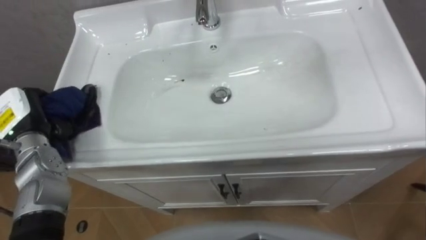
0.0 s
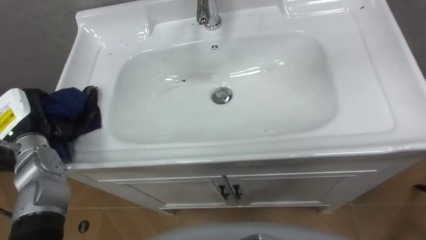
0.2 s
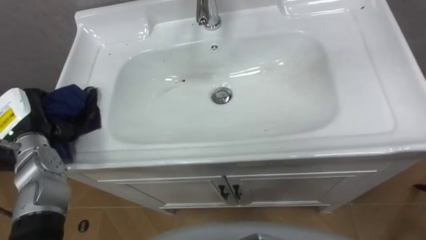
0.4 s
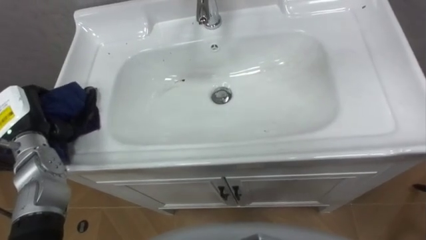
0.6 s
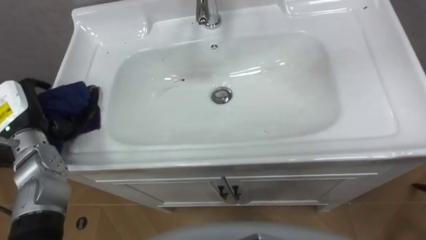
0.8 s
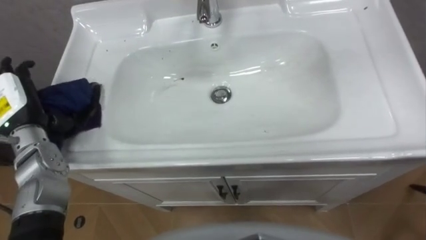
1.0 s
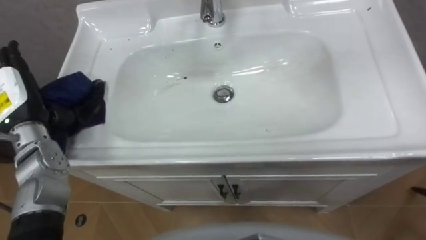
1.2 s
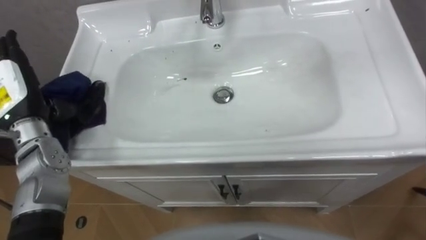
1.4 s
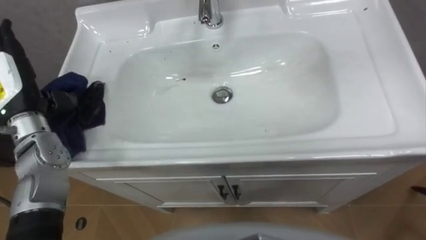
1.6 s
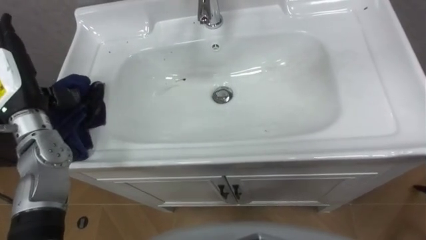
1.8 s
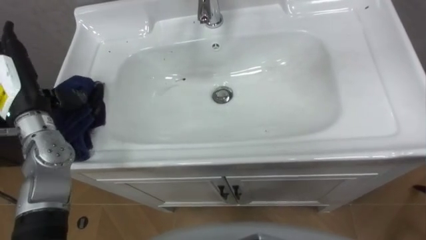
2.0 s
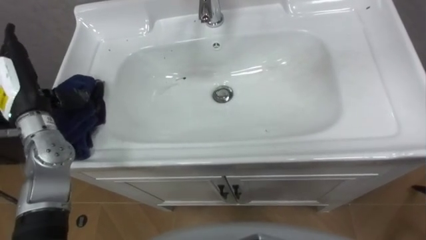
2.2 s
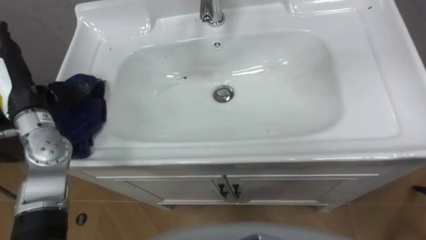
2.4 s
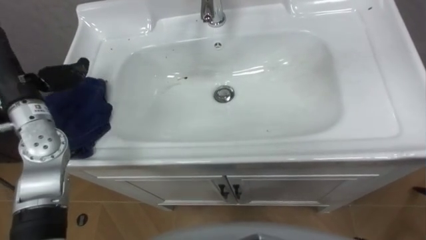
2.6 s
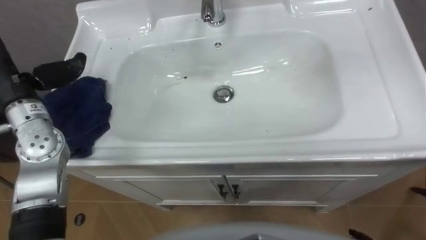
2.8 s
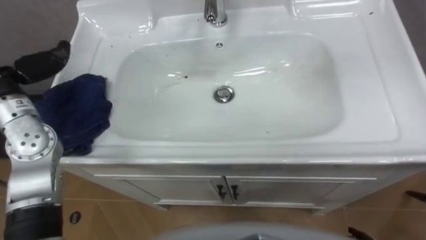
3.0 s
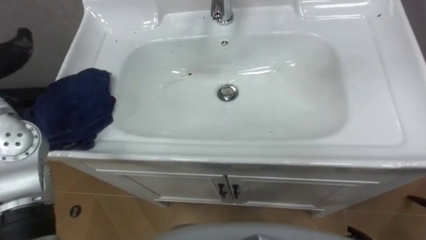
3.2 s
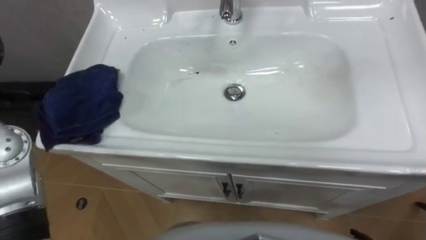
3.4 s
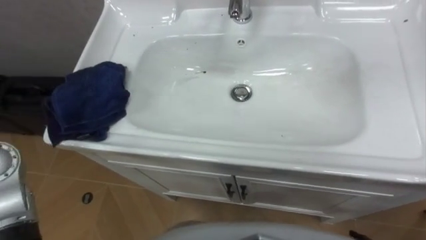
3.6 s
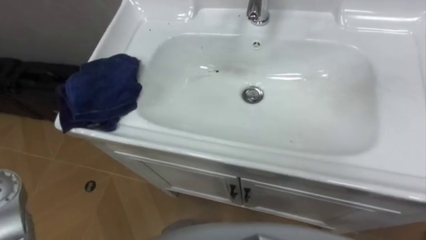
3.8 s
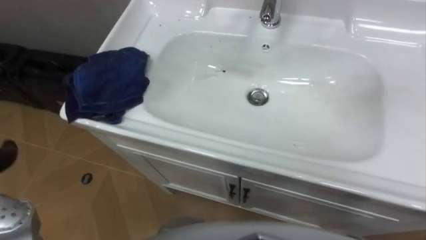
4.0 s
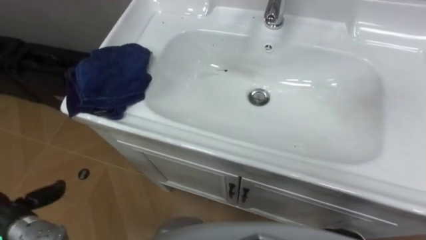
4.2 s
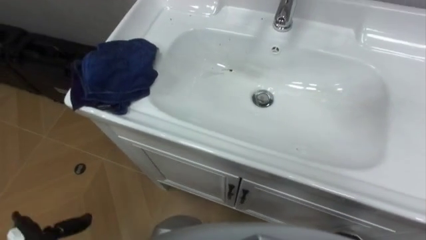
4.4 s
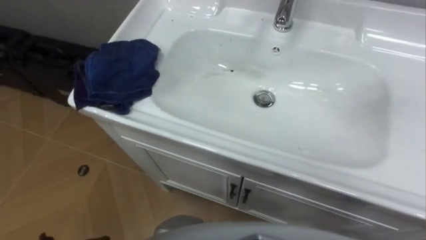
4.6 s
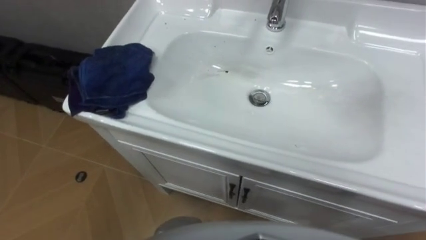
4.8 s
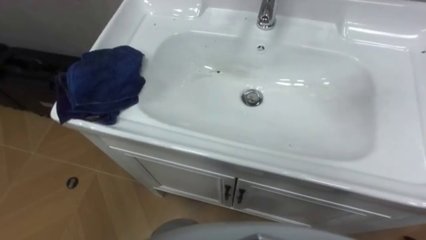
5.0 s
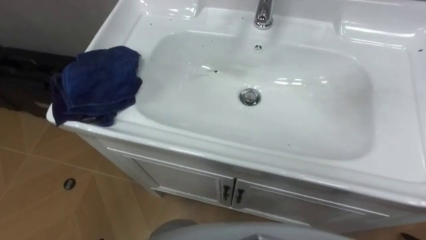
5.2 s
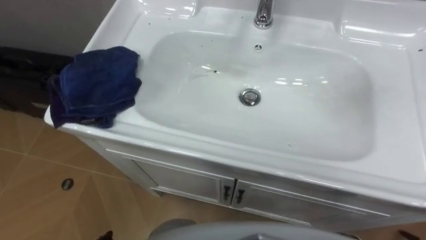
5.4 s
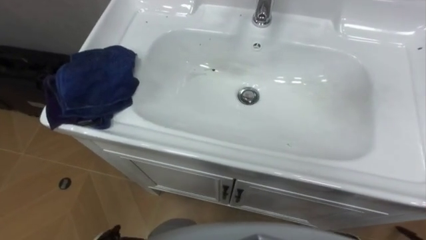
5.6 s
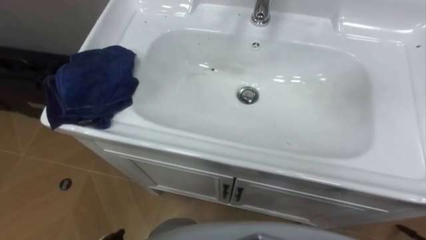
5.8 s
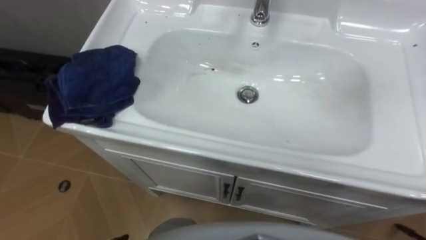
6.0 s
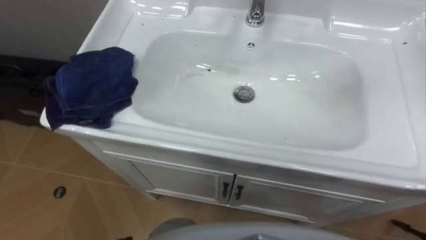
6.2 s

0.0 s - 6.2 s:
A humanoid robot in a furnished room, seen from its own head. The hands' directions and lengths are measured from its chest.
Task of the whole recording: Use the cloth on the right to wipe away the black stain in the sink.
0.0 s - 1.6 s: The left hand heads upward, covering roughly 5 cm, and opens up.

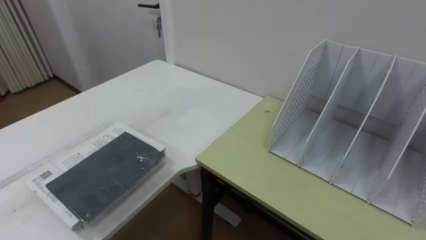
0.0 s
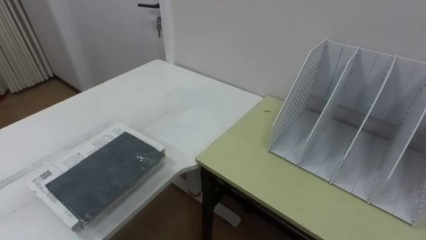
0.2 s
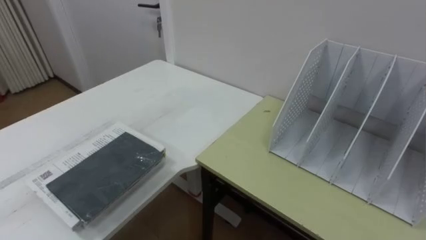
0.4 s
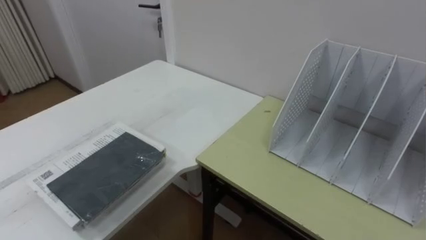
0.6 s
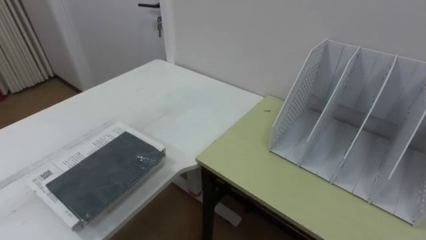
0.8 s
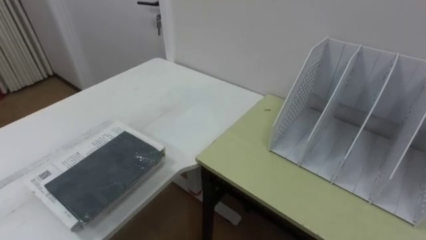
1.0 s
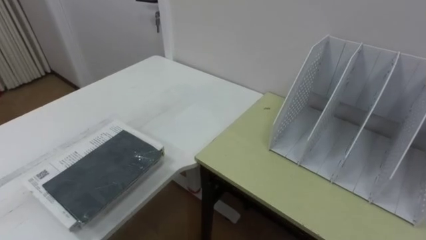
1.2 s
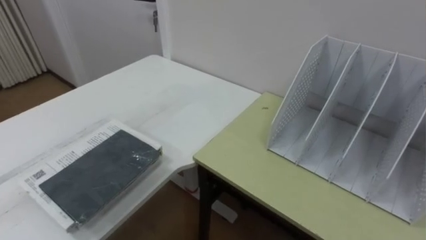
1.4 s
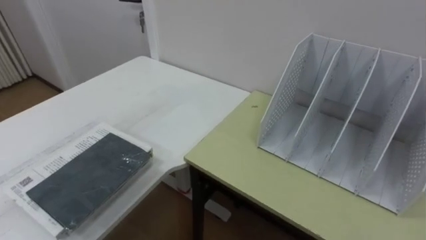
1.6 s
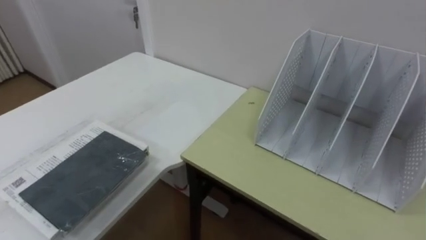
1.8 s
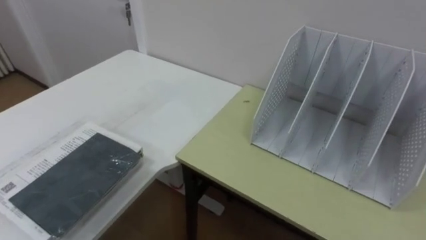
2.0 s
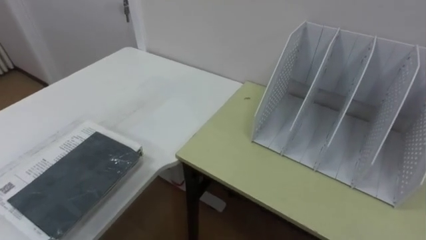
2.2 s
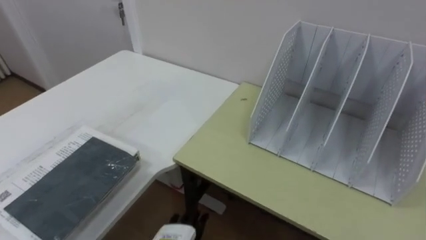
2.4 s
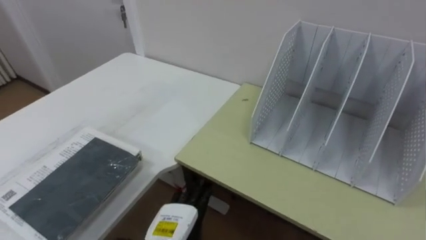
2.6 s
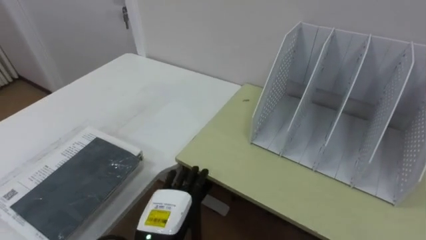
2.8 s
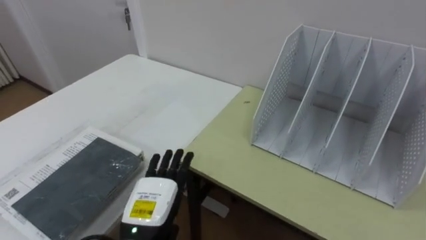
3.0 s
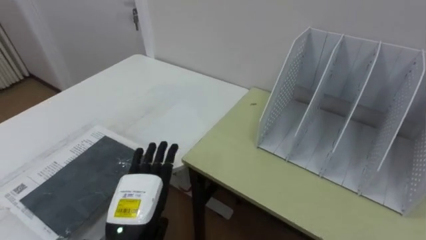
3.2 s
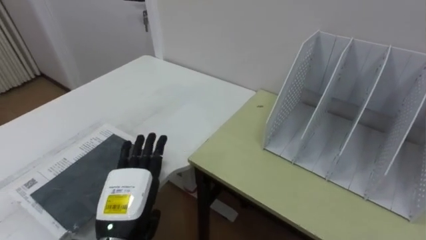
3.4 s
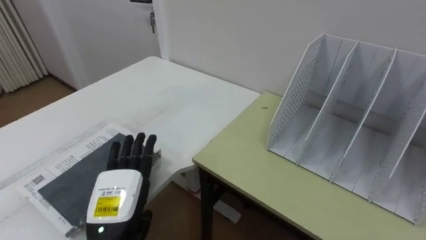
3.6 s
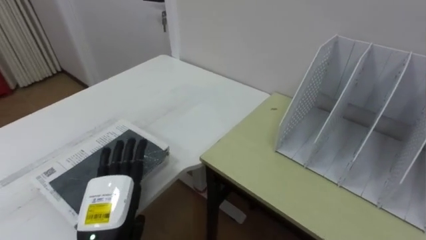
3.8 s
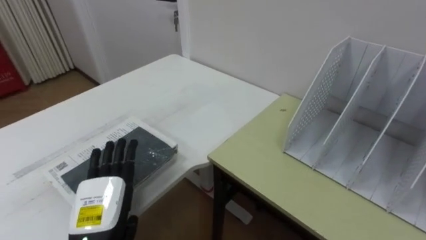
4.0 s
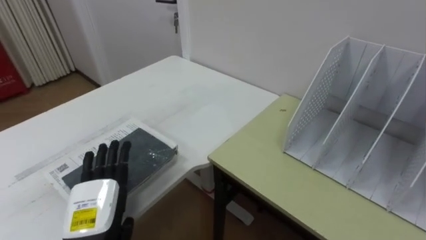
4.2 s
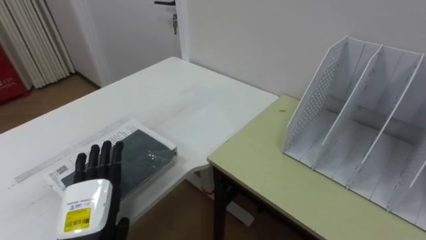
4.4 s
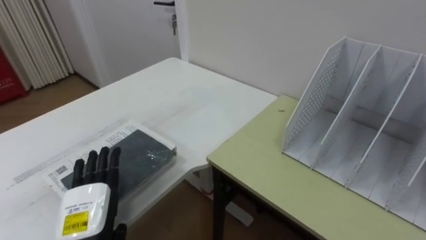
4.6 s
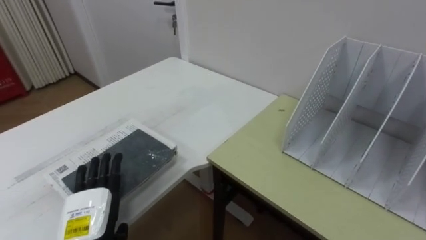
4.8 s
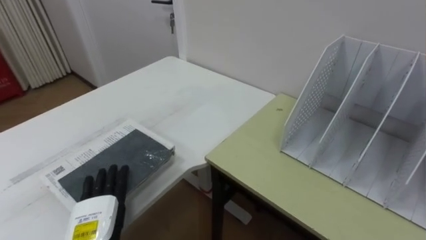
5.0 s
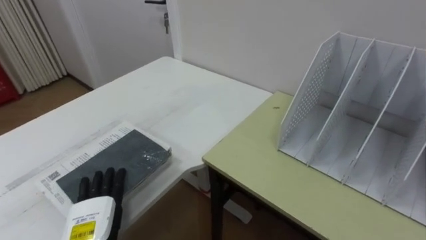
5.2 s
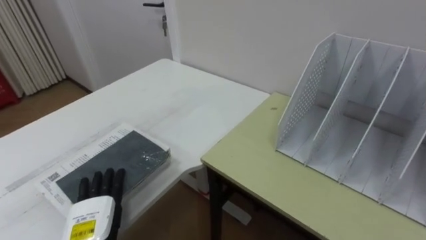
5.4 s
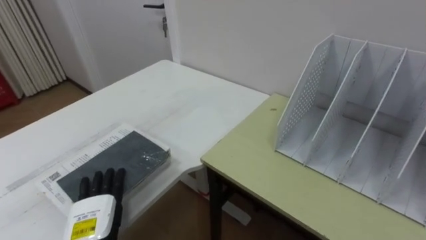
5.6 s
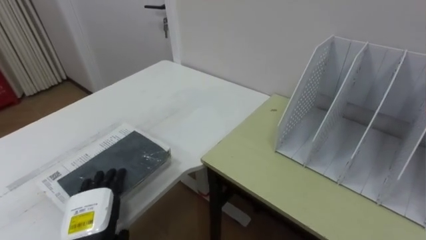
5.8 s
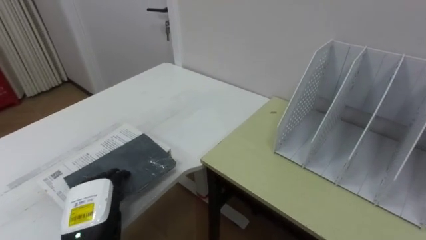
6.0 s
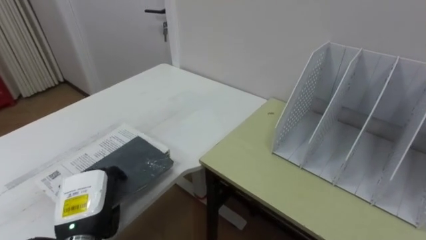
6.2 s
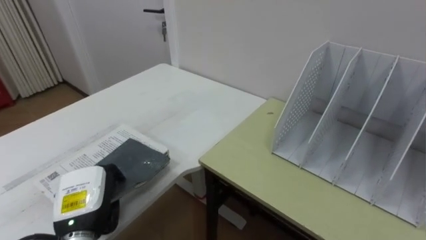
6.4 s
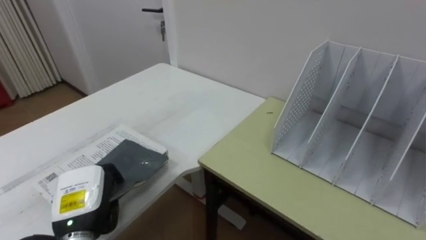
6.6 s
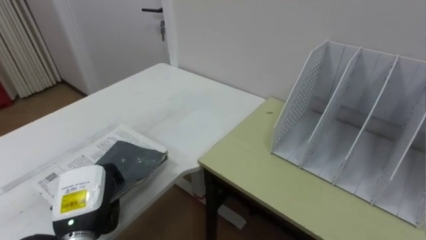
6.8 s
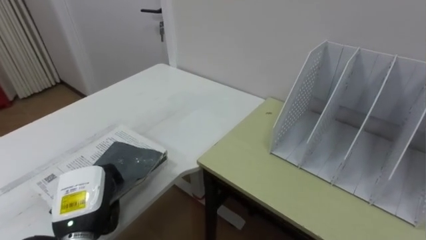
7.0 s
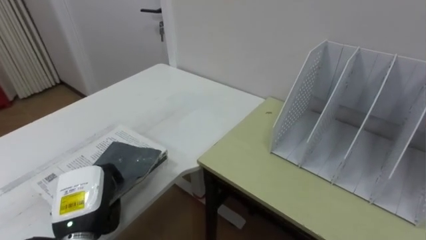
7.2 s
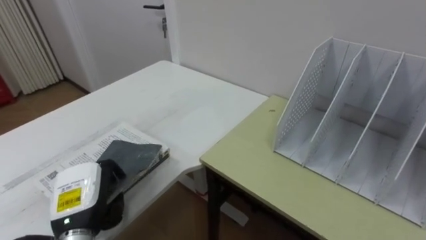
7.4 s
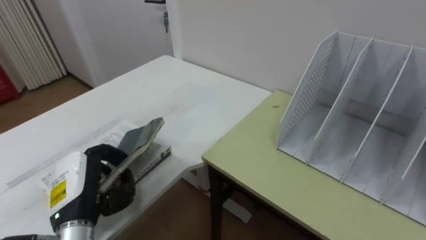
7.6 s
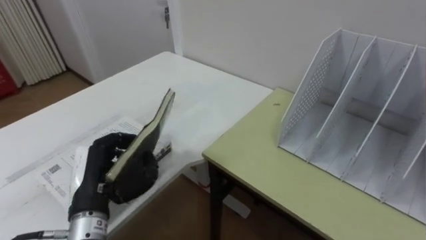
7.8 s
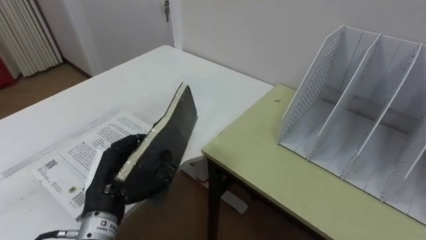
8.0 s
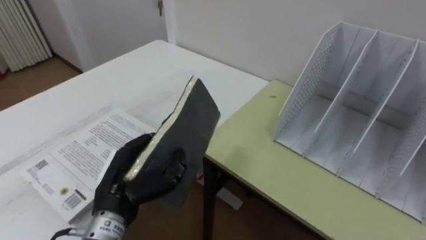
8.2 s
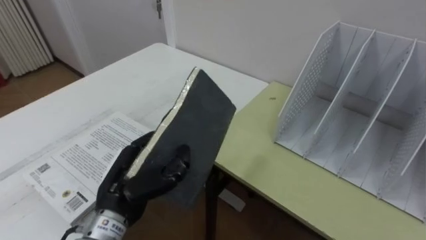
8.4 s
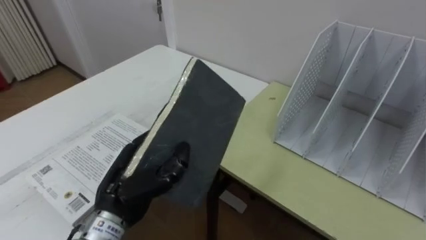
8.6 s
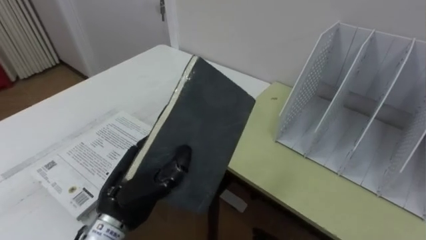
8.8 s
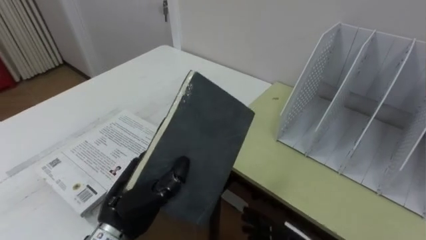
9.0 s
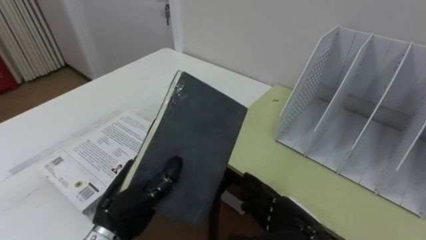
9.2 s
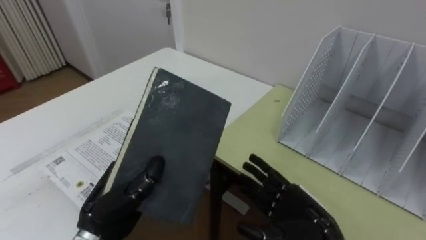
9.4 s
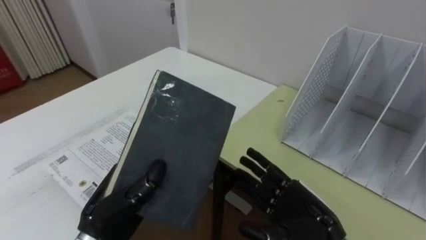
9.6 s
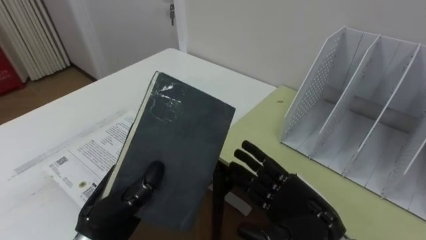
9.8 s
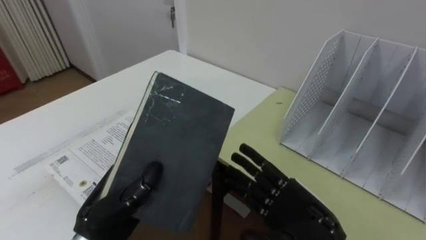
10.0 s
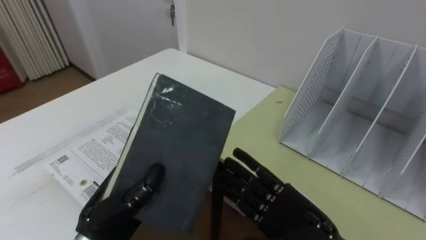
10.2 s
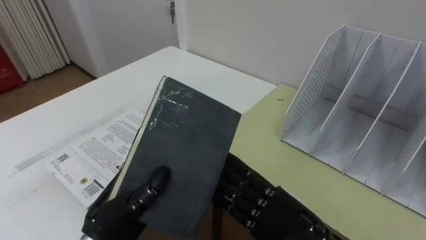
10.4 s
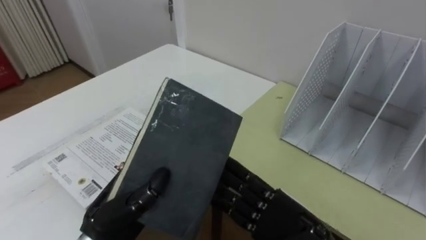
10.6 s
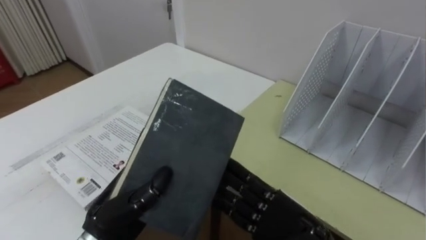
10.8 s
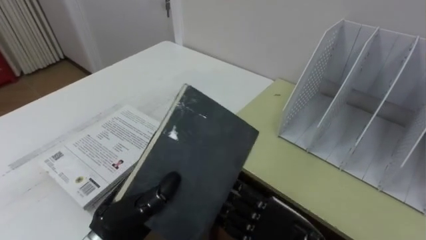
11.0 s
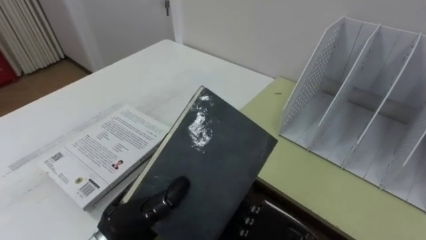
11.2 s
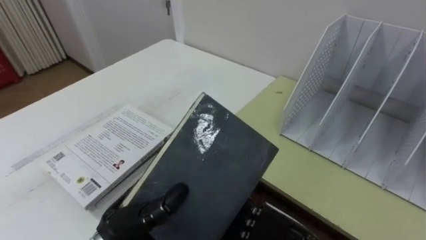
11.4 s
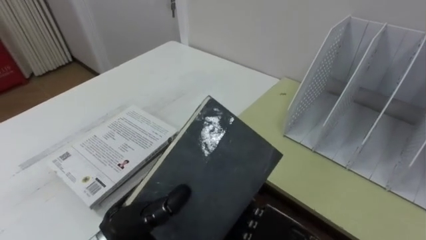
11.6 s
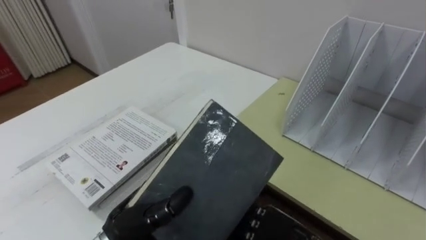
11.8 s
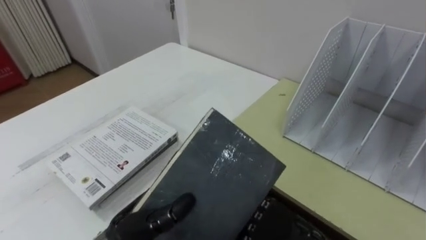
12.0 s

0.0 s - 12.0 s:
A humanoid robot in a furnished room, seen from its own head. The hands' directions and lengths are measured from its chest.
Task of the whole recording: Put the books on the table onto the bookshelf.
3.0 s - 4.4 s: The left hand heads to the left, covering some 10 cm.
6.0 s - 7.6 s: The left hand is displaced upward by about 5 cm, and closes up.
7.6 s - 9.0 s: The left hand travels to the right by about 10 cm.
